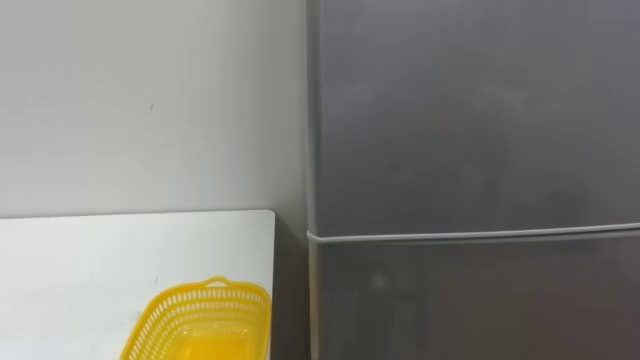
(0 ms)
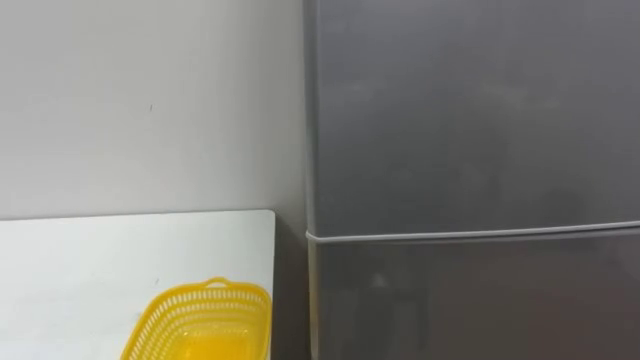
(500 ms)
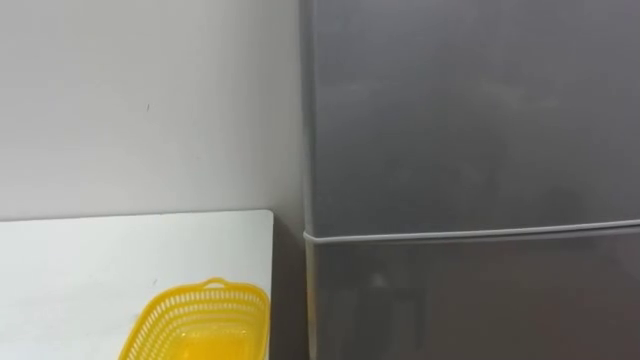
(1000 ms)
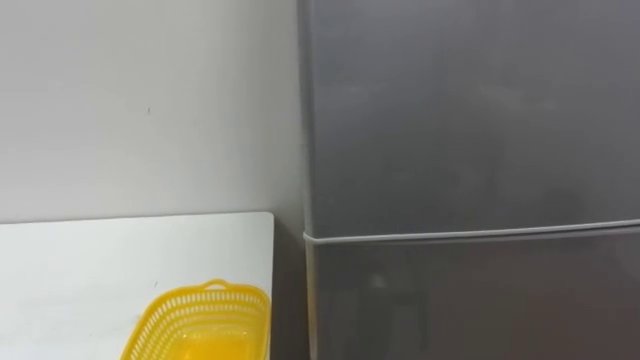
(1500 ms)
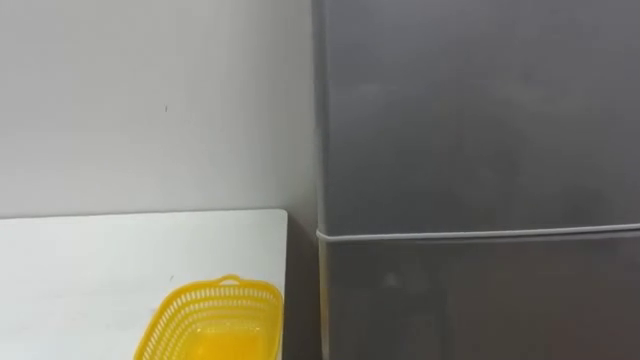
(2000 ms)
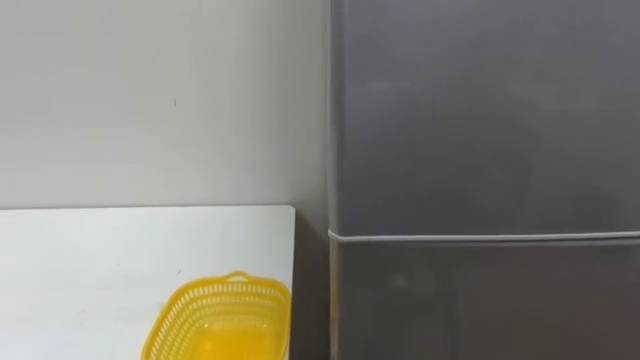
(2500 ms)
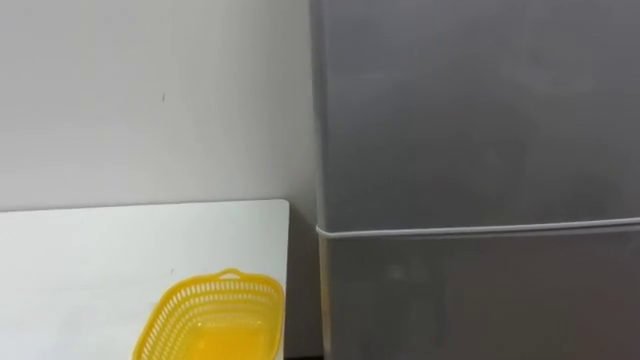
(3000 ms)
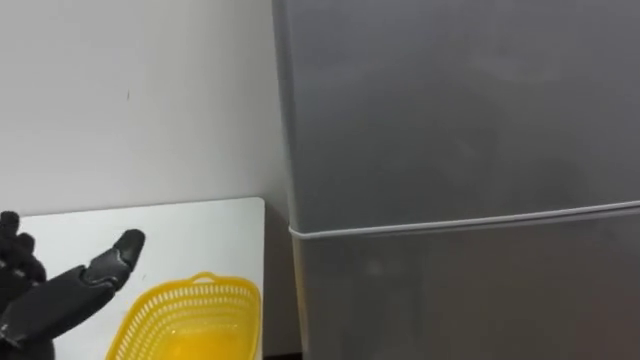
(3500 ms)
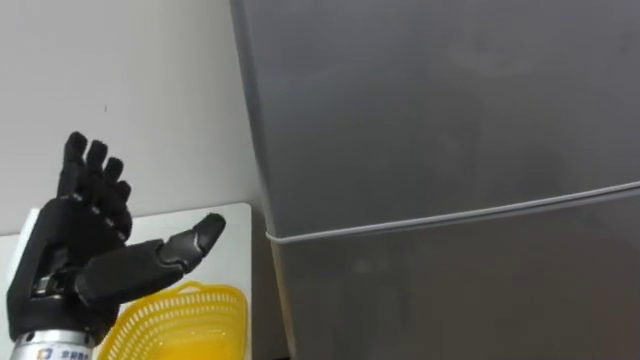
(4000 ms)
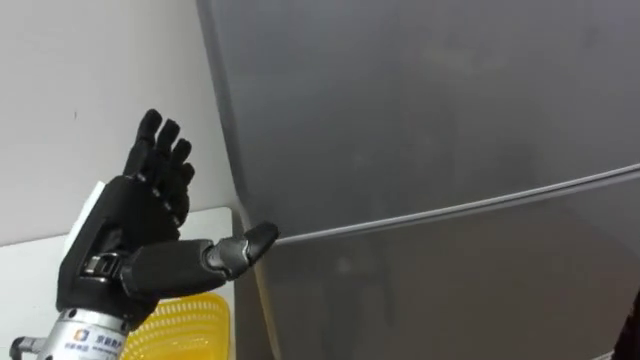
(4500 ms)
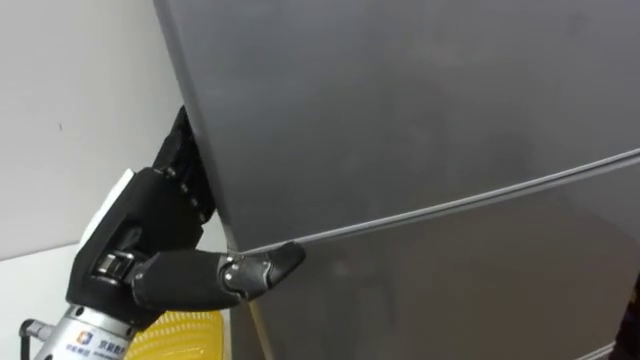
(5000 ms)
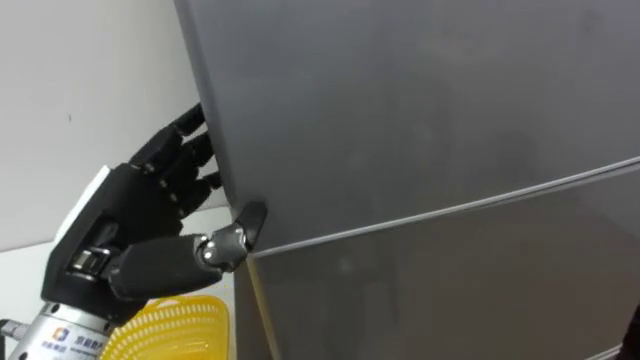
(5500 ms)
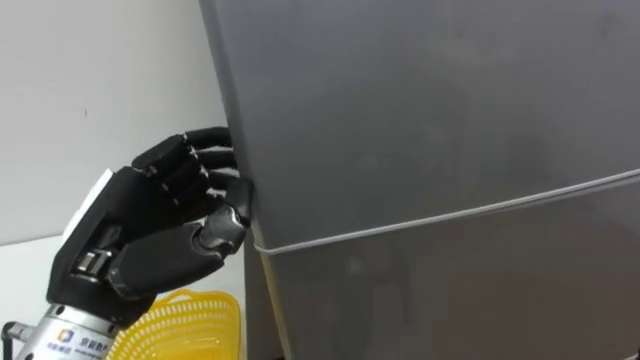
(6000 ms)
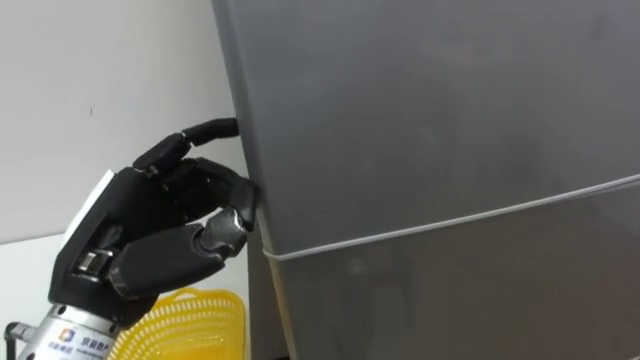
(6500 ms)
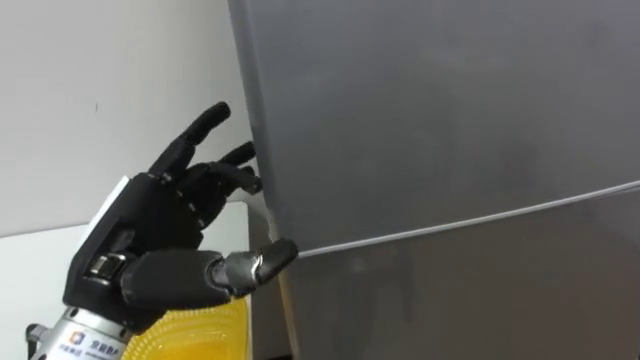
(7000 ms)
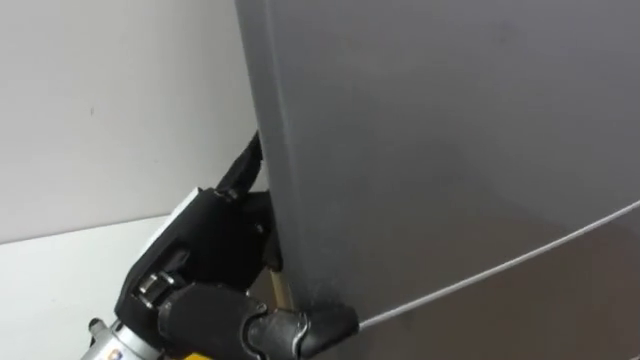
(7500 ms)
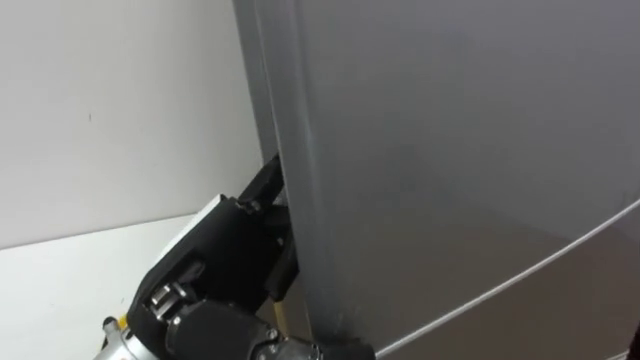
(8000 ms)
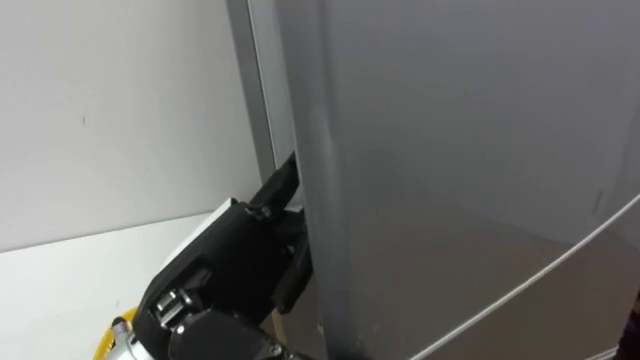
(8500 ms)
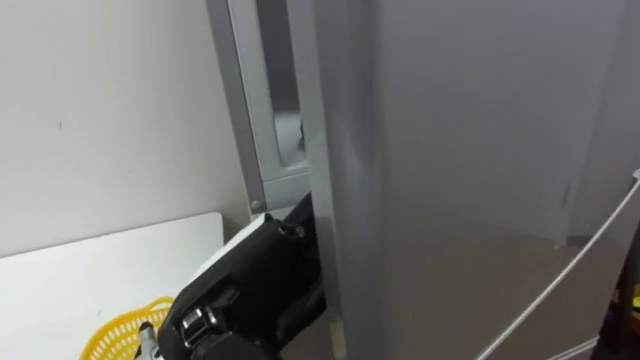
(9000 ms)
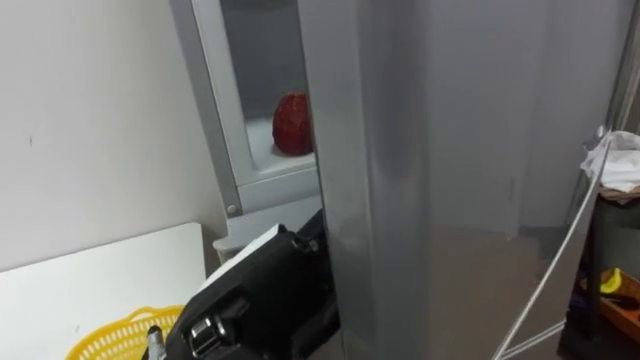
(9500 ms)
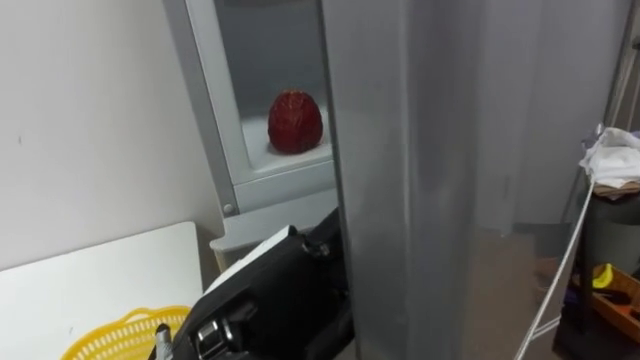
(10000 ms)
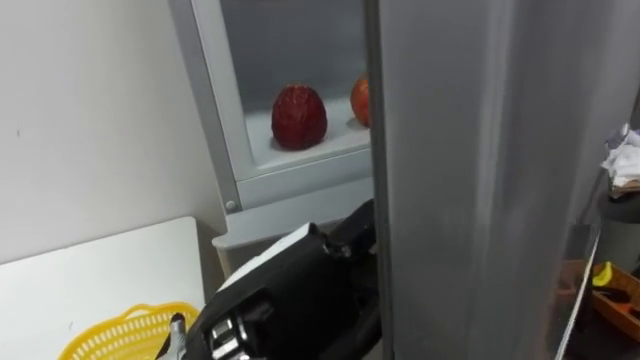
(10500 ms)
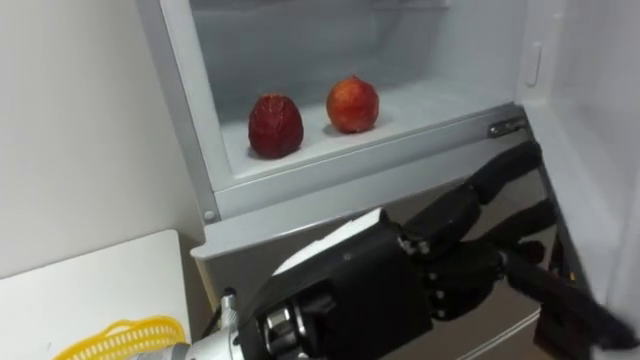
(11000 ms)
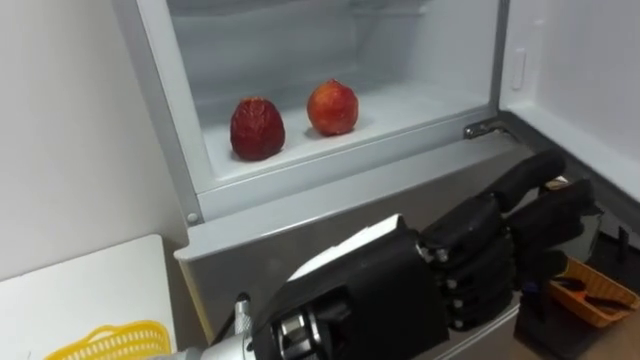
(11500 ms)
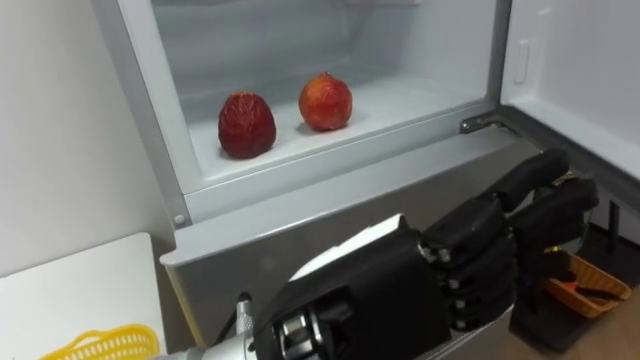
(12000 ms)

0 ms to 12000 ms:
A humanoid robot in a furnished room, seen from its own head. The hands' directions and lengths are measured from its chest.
Task of the whole recording: Open the refrigerator door, take out the apple and the pomegranate, place them in the fruit basket on the left, and close the refrigerator door.
4000 ms to 6000 ms: The left hand ends up roughly 5 cm from where it was, and closes.
6000 ms to 8000 ms: The left hand shifts some 5 cm to the right, and opens up.
10000 ms to 12000 ms: The left hand moves to the right, some 5 cm.

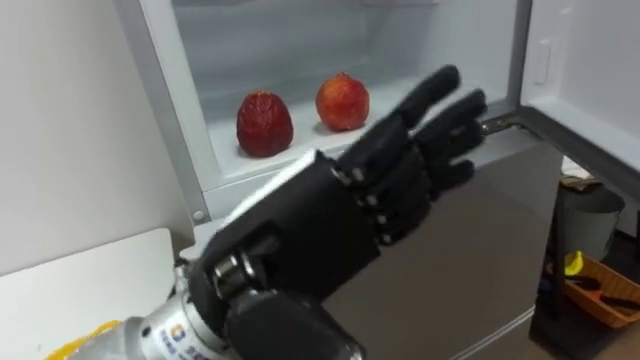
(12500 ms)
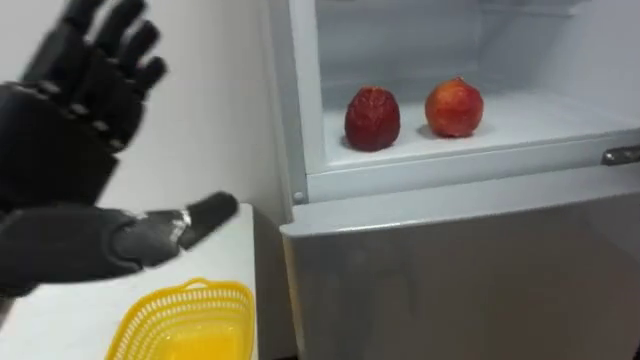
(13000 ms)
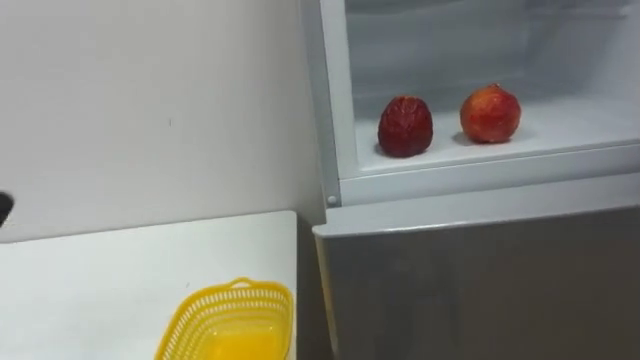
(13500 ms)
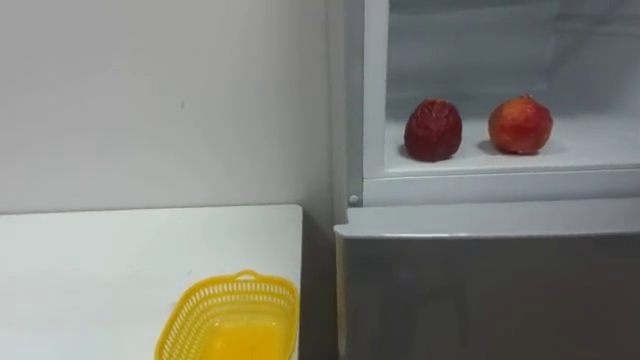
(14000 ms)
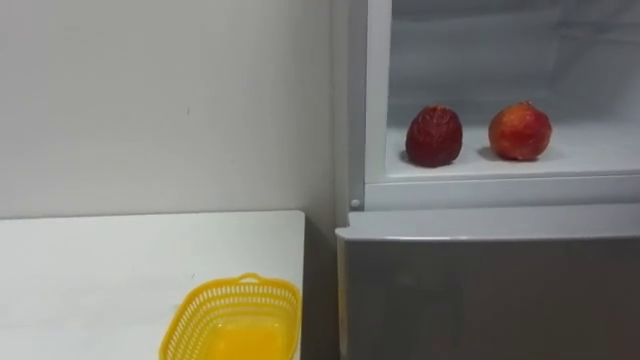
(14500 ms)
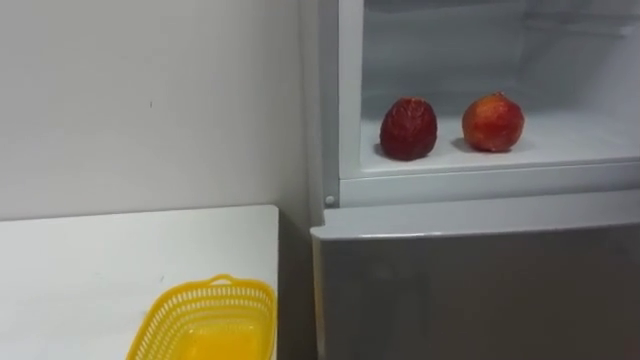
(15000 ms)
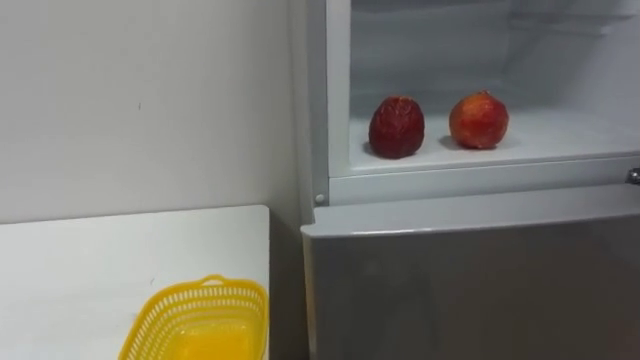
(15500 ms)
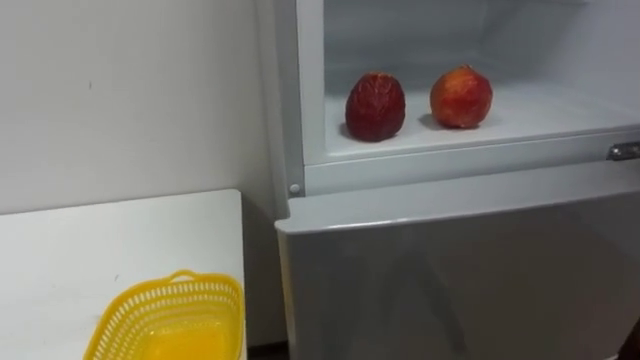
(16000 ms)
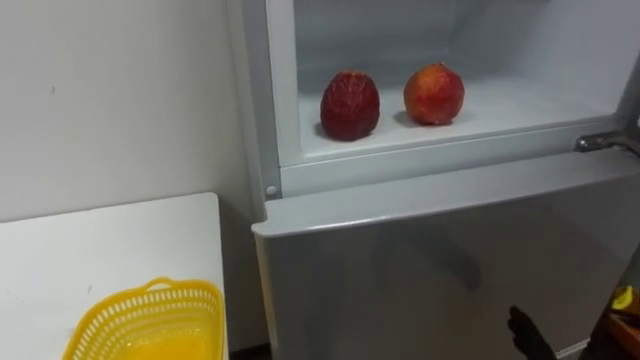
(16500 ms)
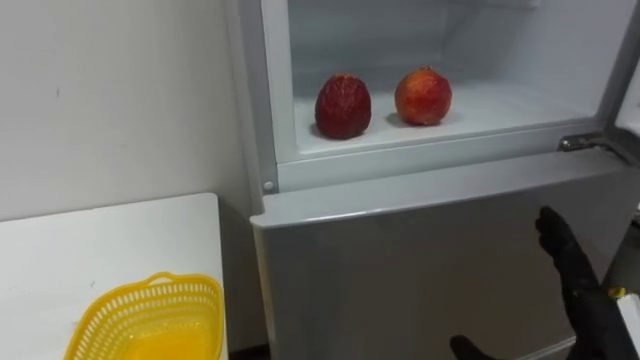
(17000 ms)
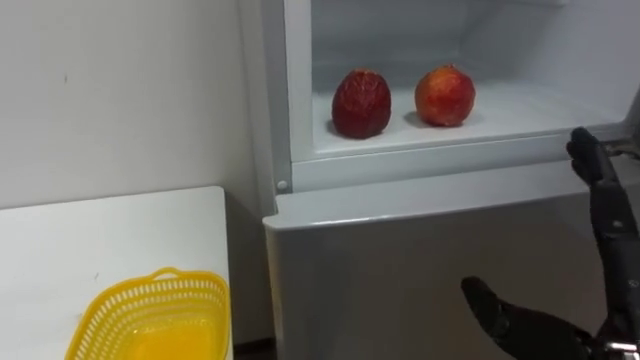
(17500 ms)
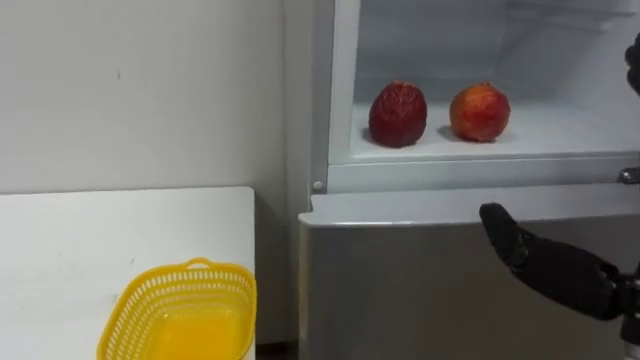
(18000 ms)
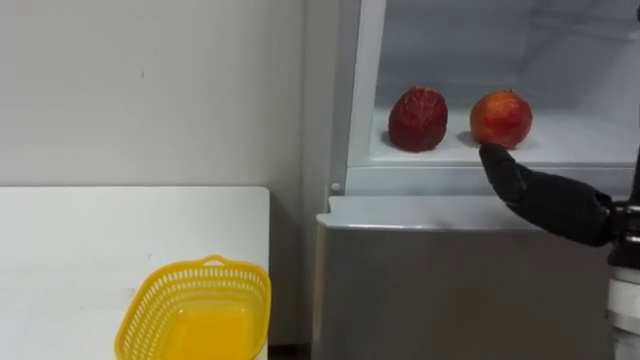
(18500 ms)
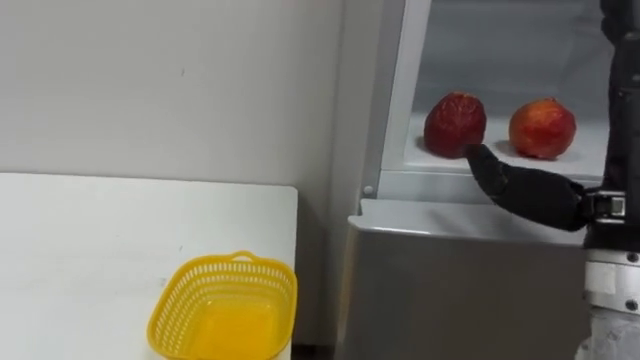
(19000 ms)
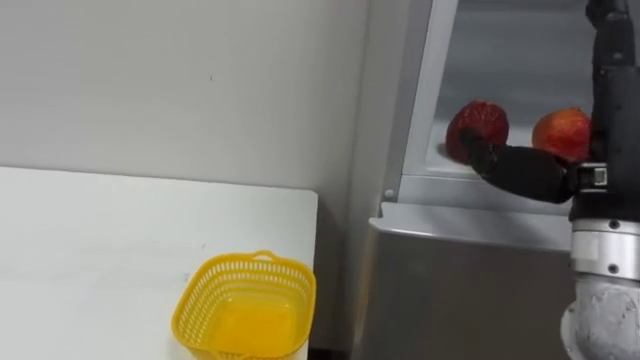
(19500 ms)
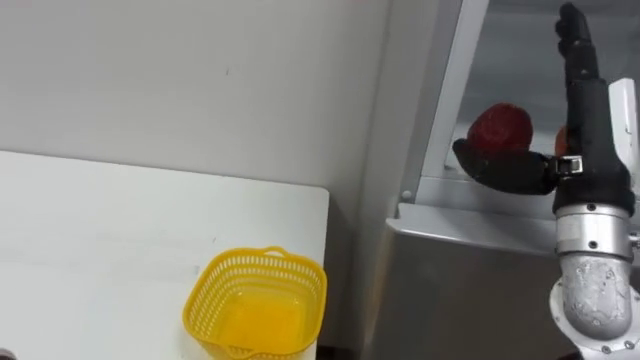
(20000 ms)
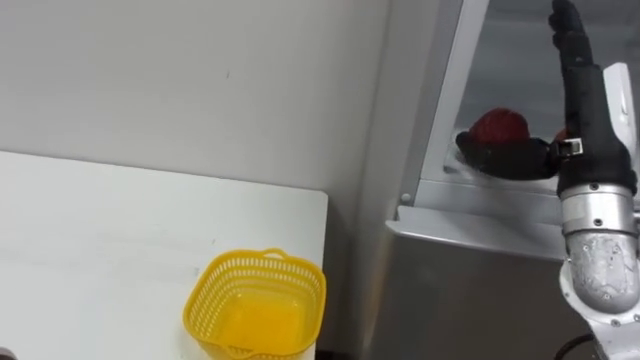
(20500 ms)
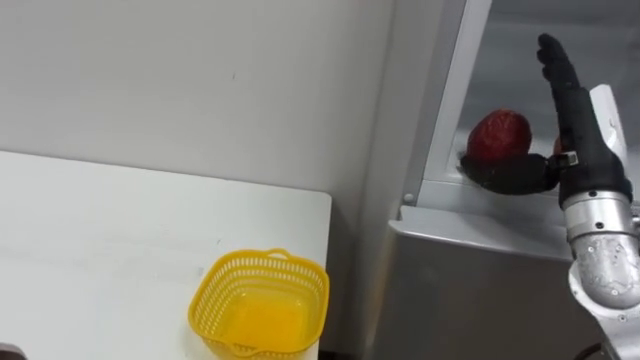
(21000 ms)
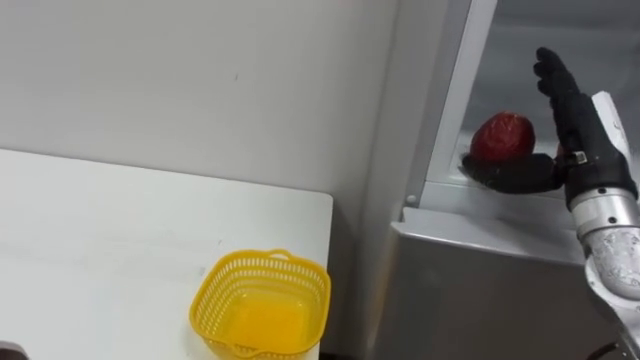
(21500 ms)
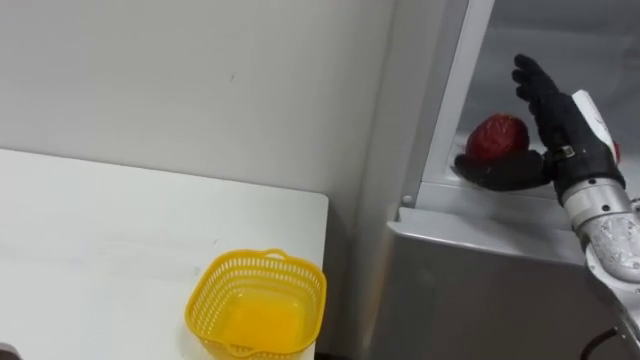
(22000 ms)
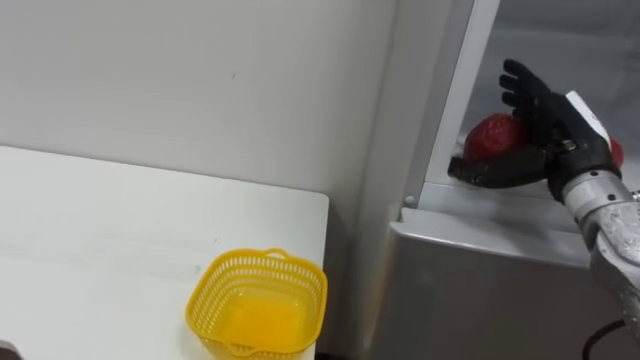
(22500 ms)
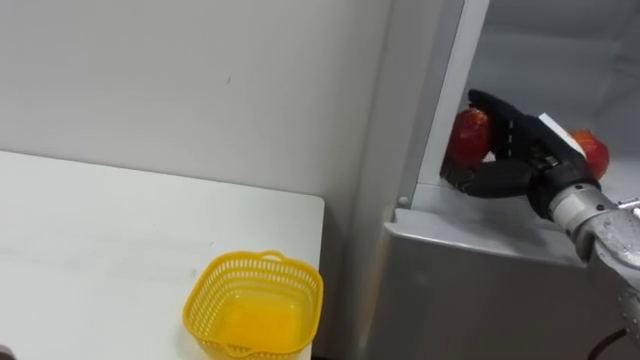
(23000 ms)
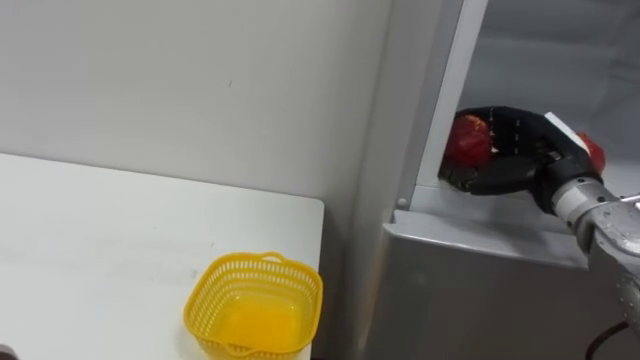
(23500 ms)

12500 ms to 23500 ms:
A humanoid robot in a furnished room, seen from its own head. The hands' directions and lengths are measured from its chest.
Task of the whole recording: Open the refrigerator door, take out the apple and the pomegranate, place them in the fruit basket on the left, and close the refrigerator door.
20000 ms to 21500 ms: The right hand ends up roughly 5 cm from where it was.
21500 ms to 23500 ms: The right hand moves about 5 cm, and closes its fingers.
